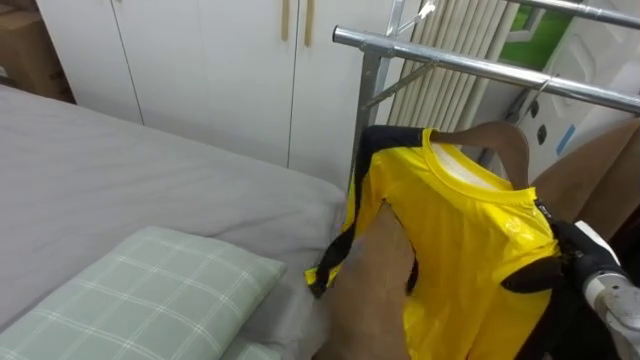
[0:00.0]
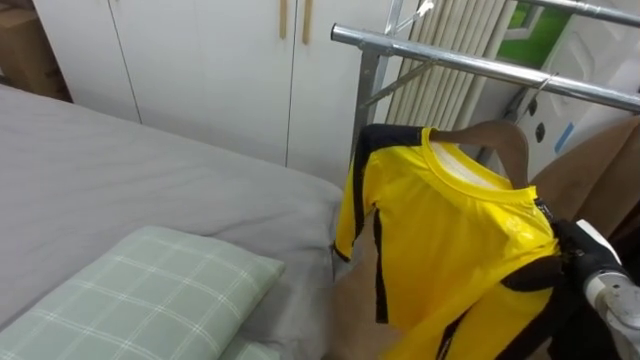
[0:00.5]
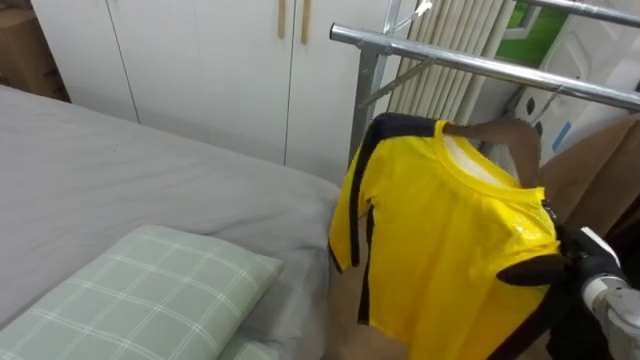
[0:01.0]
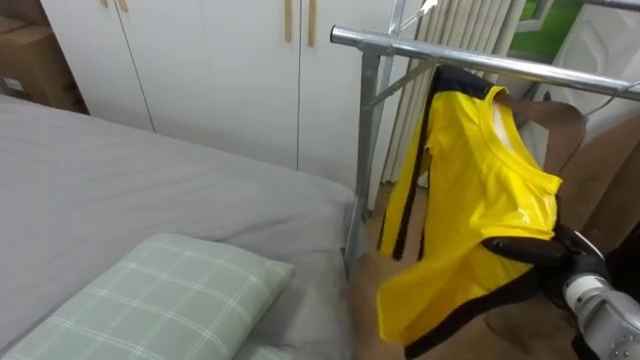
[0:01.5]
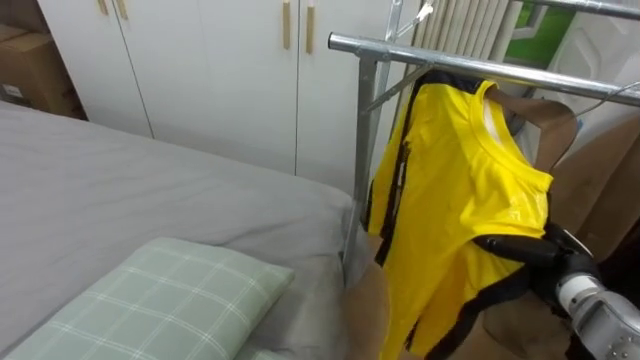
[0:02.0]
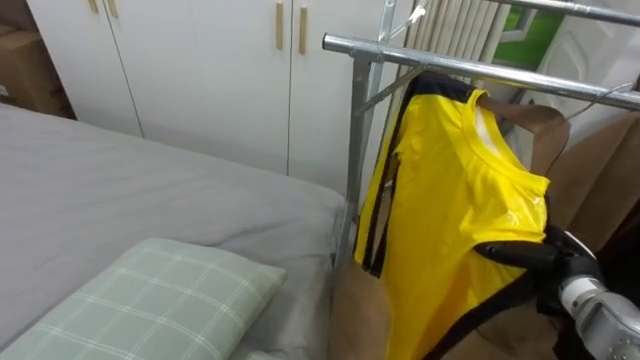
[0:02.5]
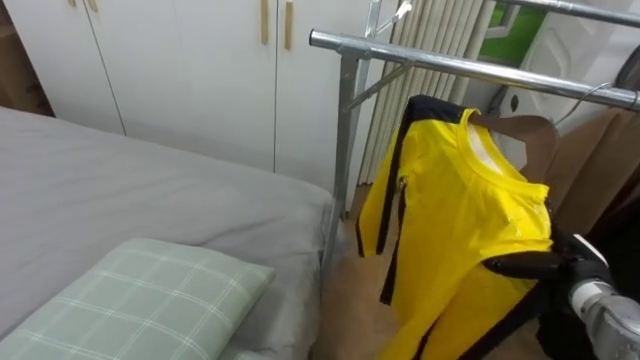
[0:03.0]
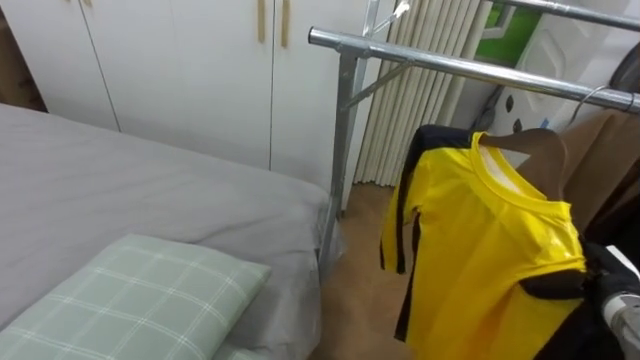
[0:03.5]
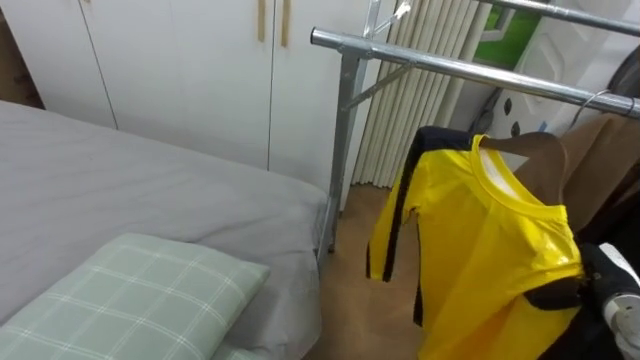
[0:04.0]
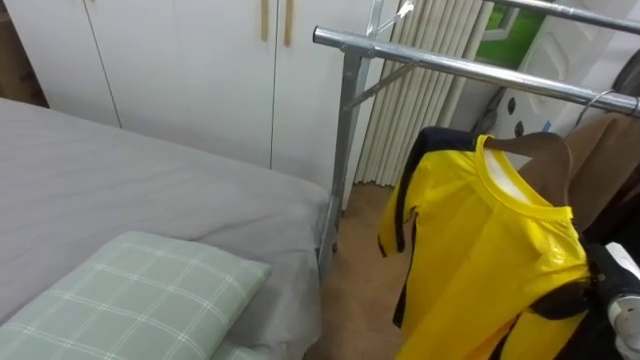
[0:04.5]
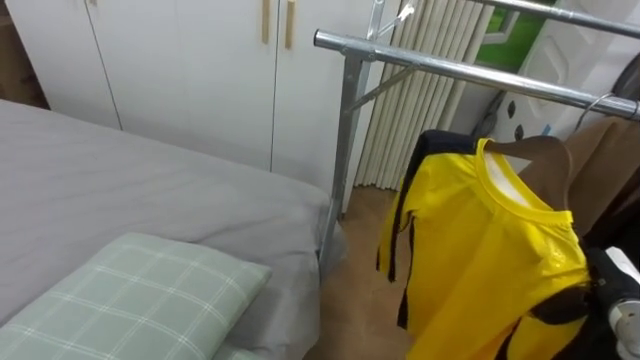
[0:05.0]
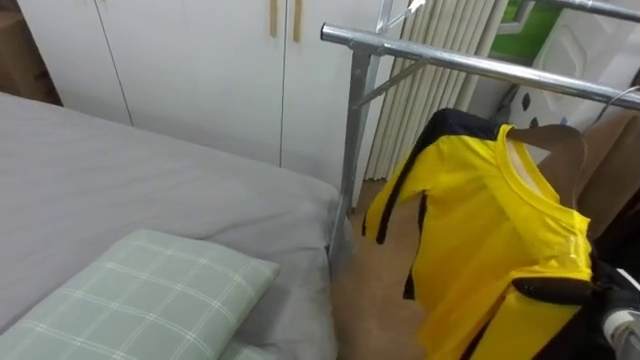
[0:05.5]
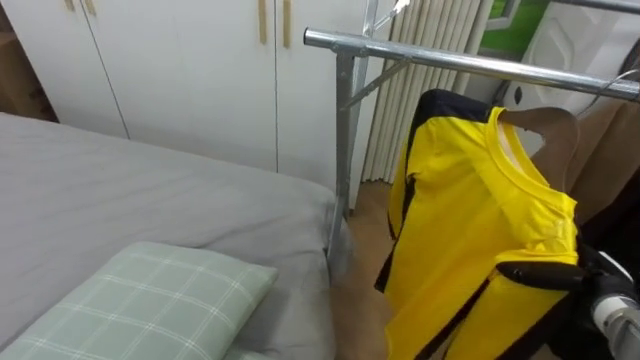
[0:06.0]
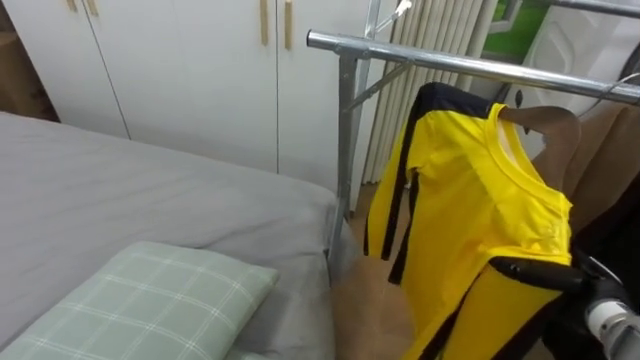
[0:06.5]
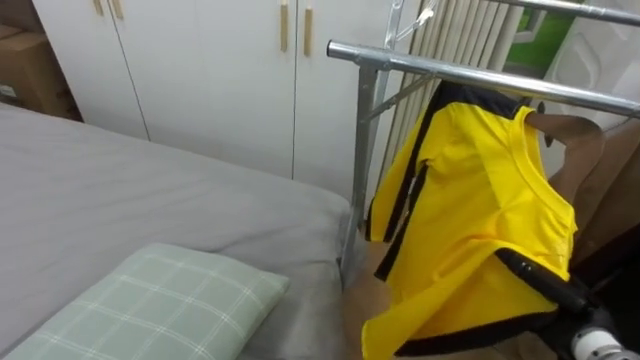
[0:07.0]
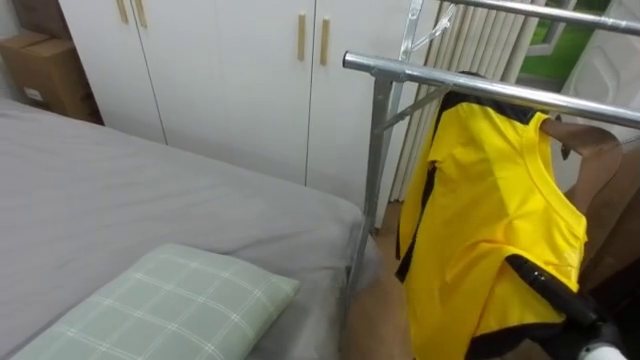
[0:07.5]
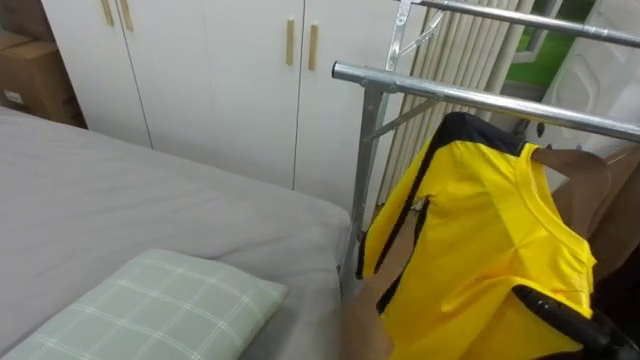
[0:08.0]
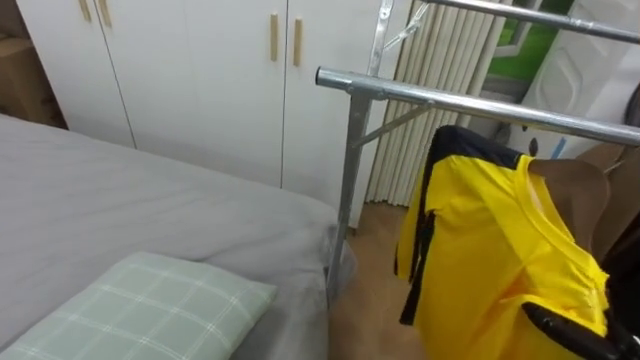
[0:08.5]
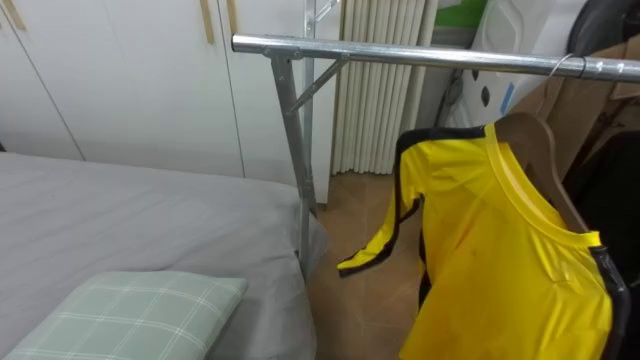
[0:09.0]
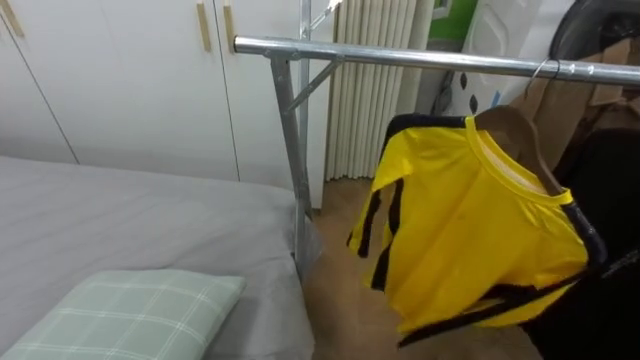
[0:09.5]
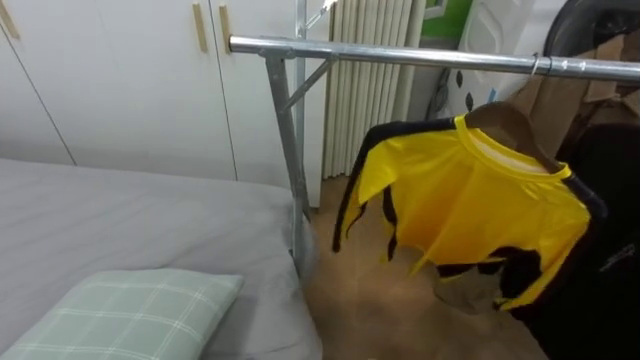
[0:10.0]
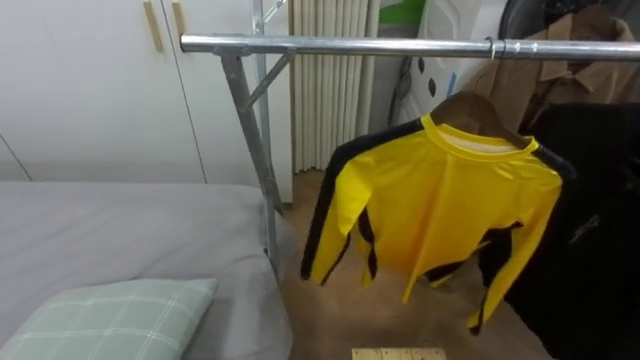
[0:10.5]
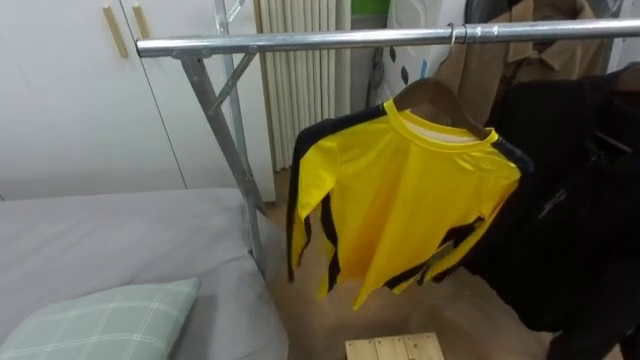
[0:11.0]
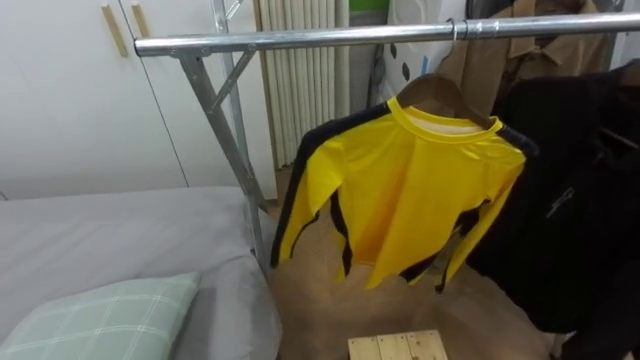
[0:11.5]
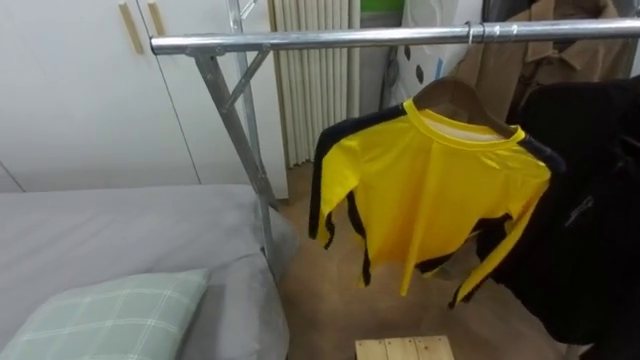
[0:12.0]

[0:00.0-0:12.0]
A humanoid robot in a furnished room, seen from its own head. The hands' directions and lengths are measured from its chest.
Task of the whole recording: Pick up the yellow shirt on the bed and hang it on the clothes rack on the right.
0:02.0 to 0:04.0: The right hand is displaced to the right by approximately 5 cm.

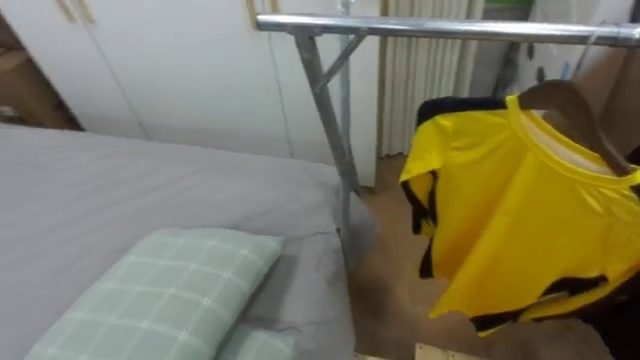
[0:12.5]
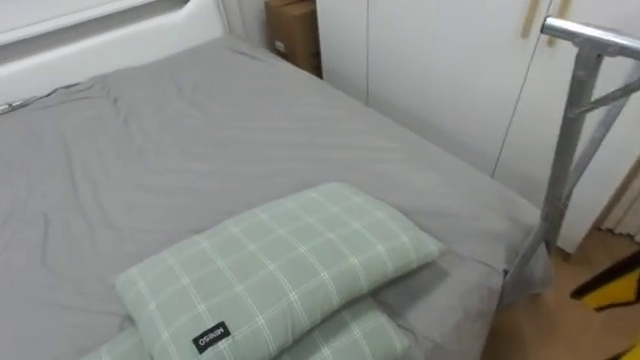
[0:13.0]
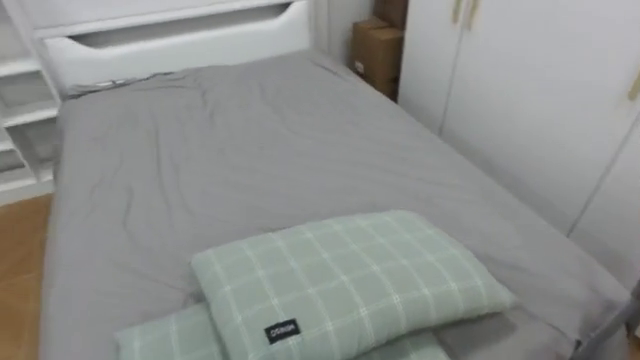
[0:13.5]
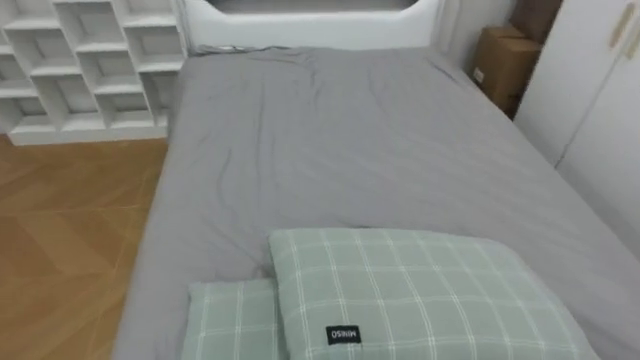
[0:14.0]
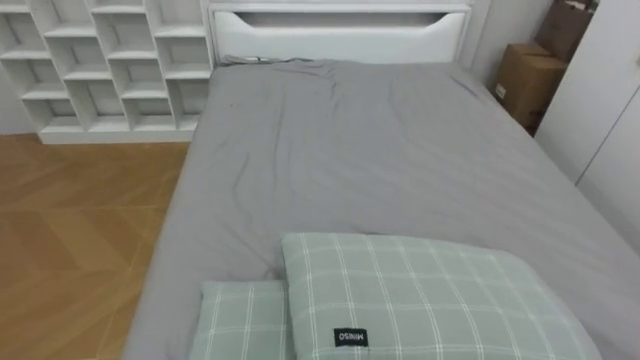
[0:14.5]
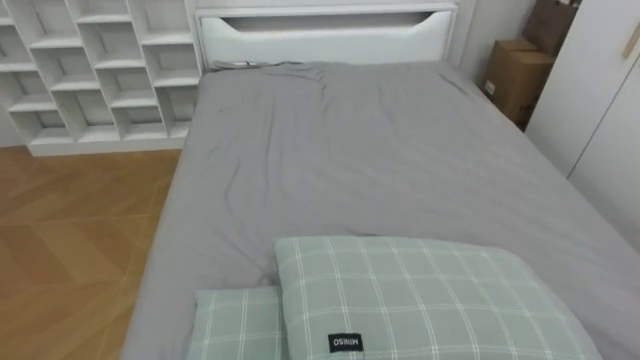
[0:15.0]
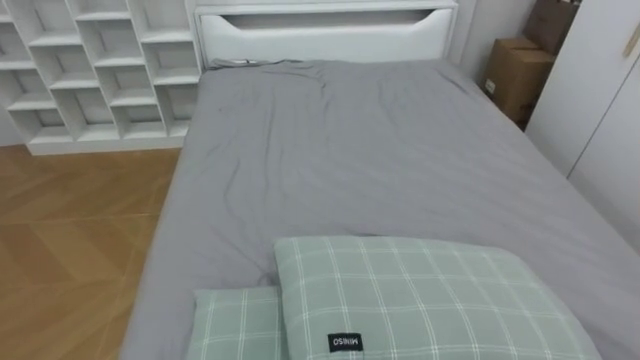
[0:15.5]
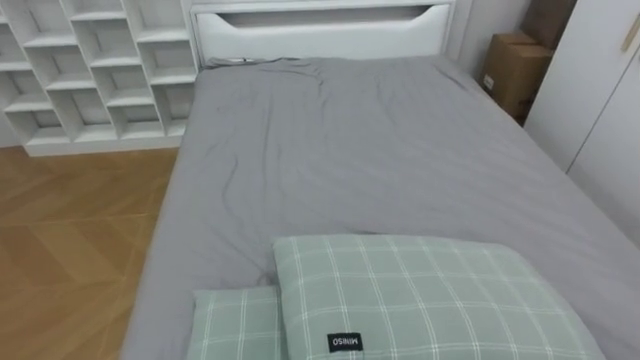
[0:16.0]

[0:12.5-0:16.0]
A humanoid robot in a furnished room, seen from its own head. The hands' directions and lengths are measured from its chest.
Task of the whole recording: Pick up the yellow shirt on the bed and hang it on the clothes rack on the right.
0:12.5 to 0:14.5: The robot turns to its left by roughly 70 degrees.

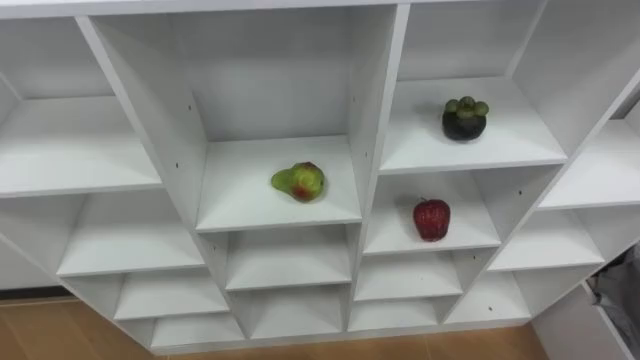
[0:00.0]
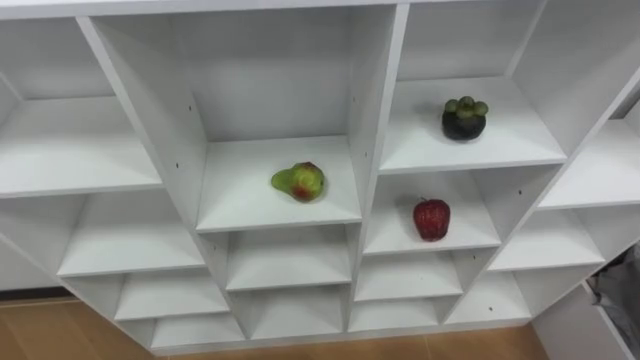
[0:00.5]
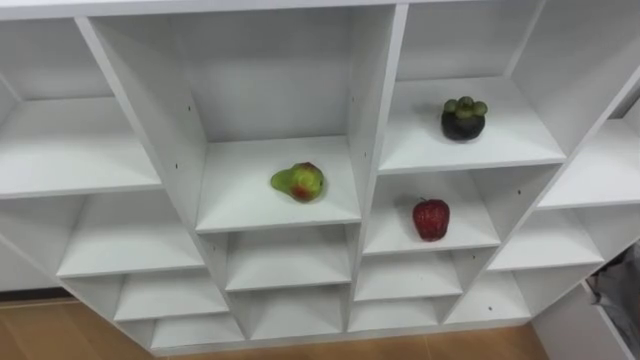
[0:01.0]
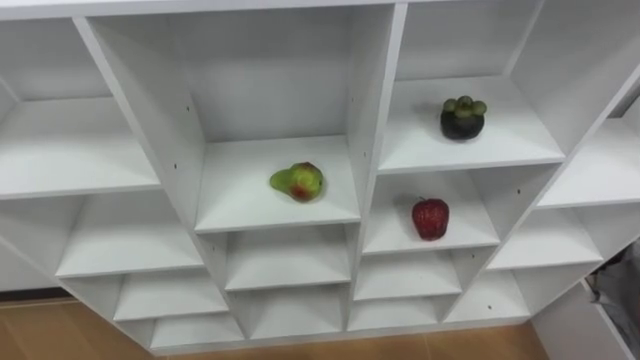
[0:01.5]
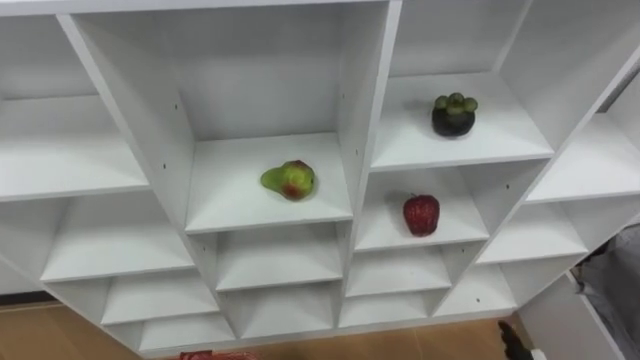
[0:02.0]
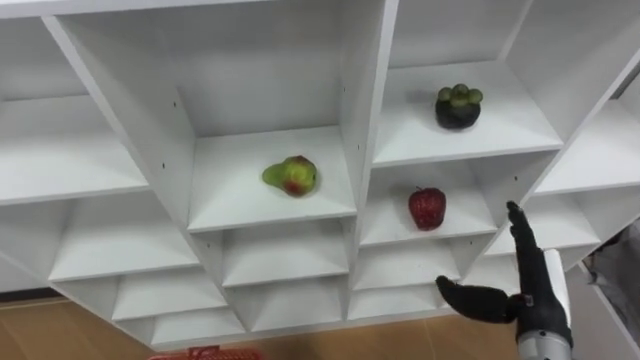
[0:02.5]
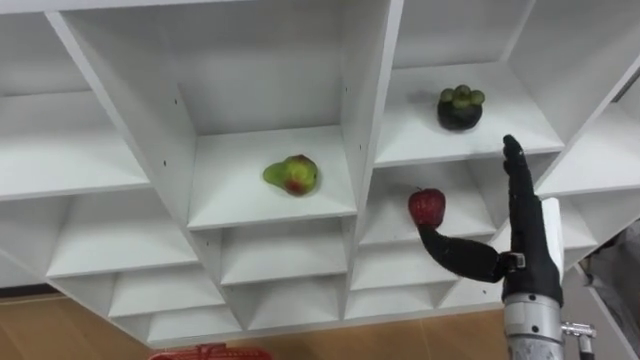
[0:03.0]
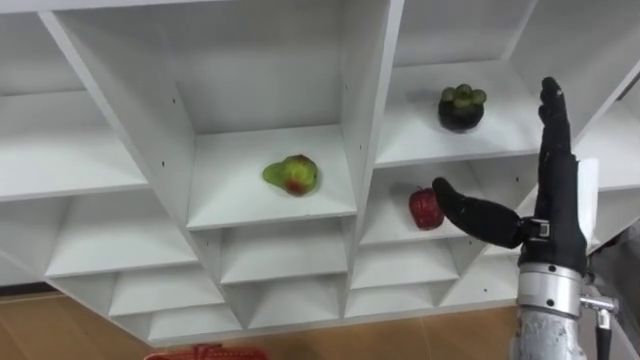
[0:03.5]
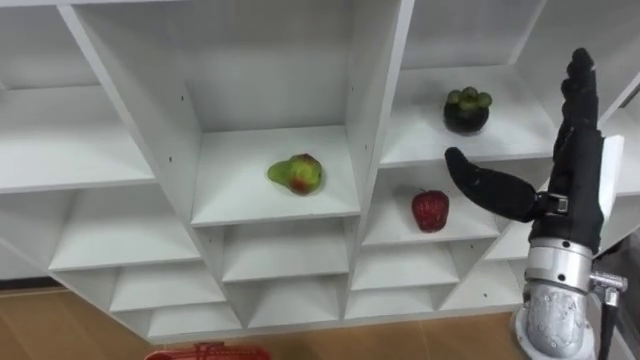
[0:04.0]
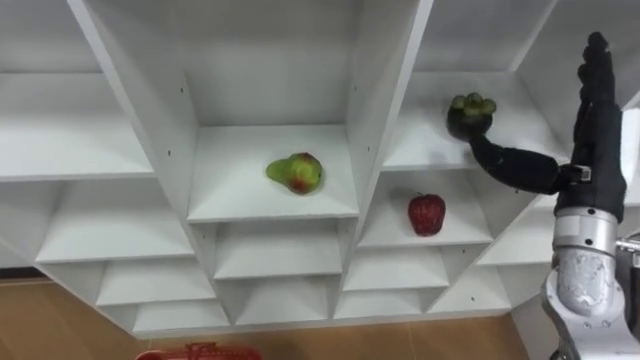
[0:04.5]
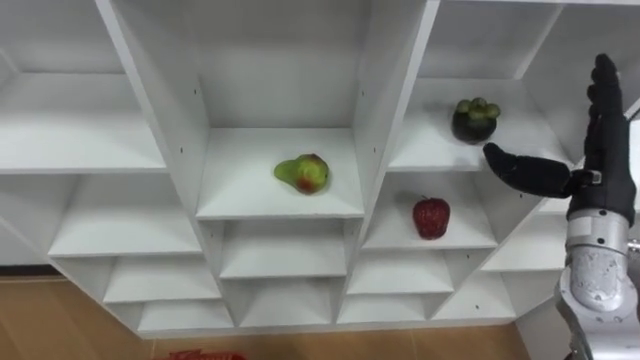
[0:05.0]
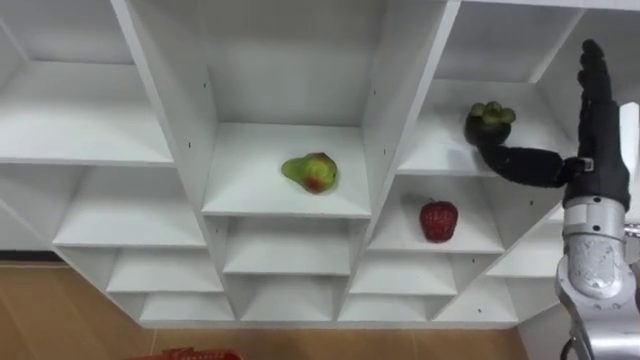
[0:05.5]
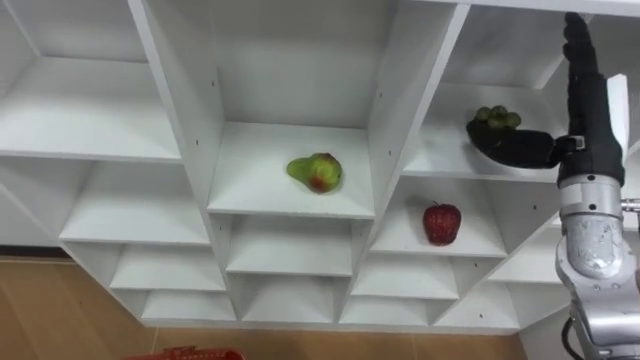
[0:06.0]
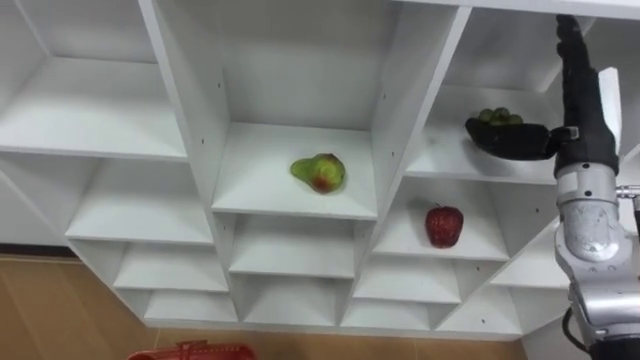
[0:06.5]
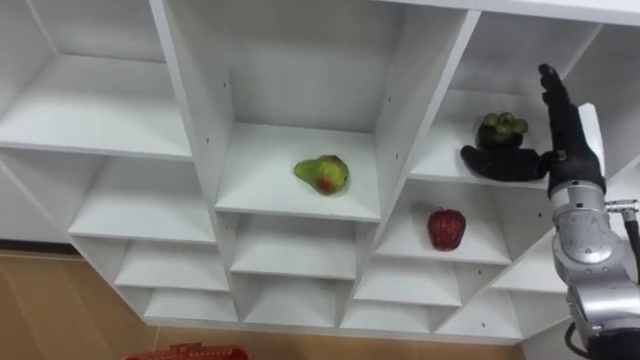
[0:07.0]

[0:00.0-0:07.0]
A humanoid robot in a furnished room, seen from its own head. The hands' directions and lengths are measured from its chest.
Task of the whole recording: Hold the basket and collect the fruits from 3 different cells of the closet into it.
0:03.5 to 0:05.0: The right hand travels to the right and forward by approximately 10 cm.
0:05.0 to 0:07.0: The right hand changes place by approximately 5 cm.
